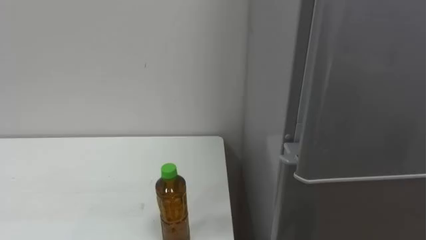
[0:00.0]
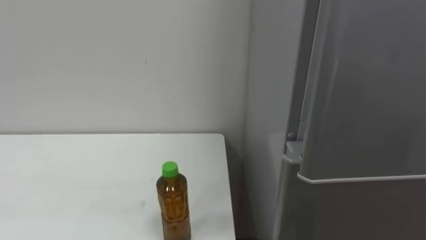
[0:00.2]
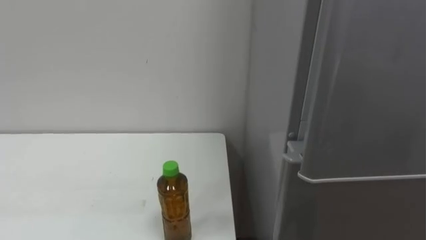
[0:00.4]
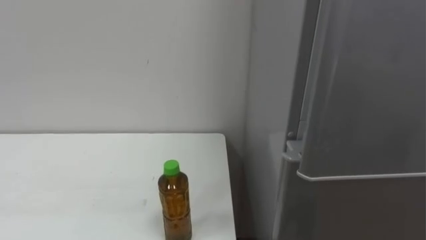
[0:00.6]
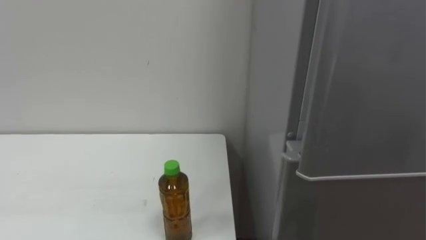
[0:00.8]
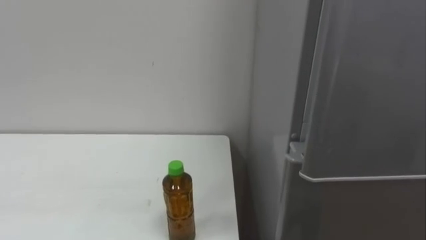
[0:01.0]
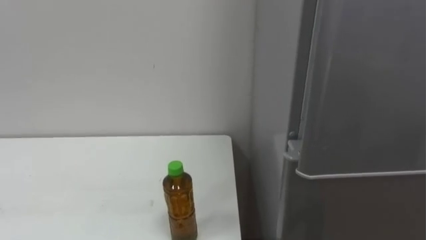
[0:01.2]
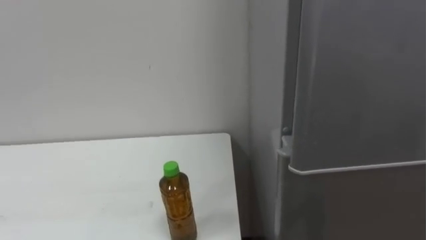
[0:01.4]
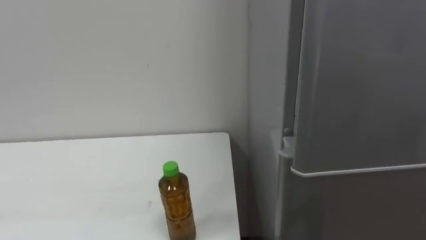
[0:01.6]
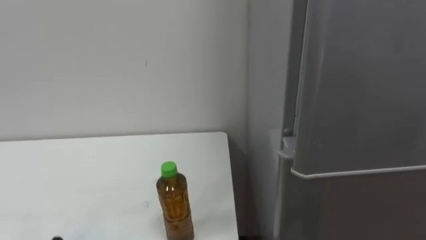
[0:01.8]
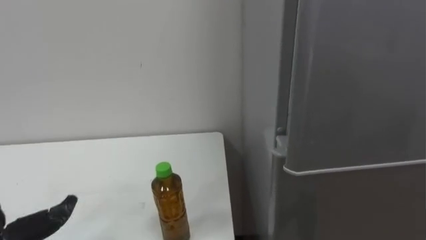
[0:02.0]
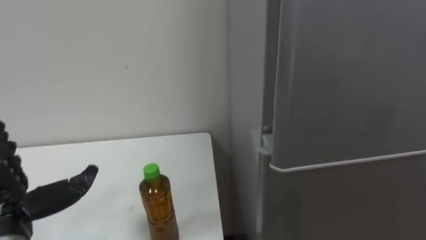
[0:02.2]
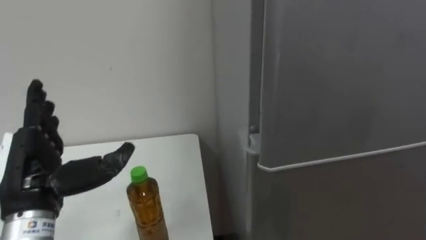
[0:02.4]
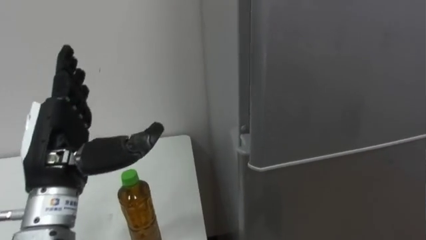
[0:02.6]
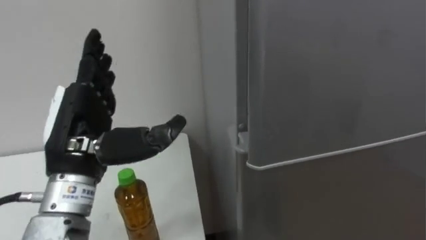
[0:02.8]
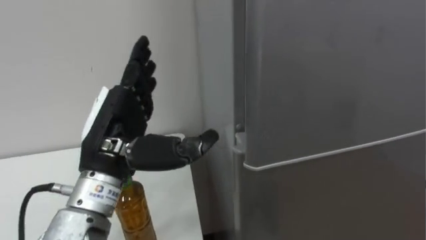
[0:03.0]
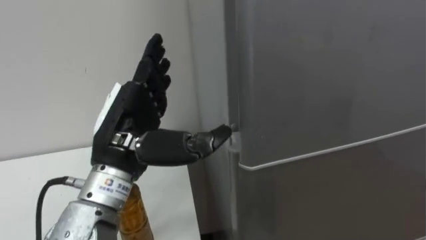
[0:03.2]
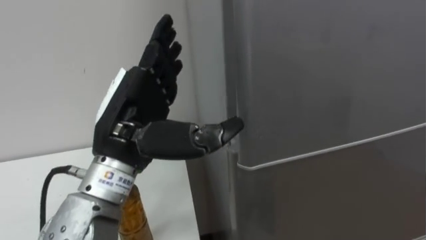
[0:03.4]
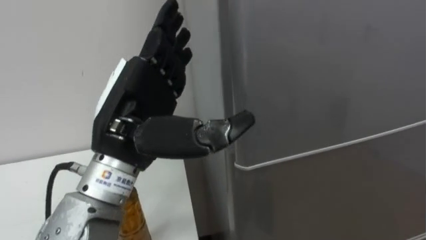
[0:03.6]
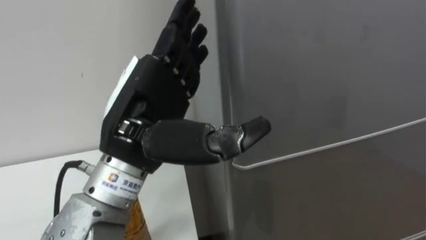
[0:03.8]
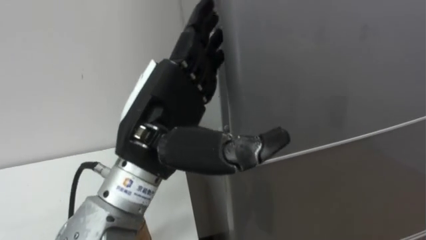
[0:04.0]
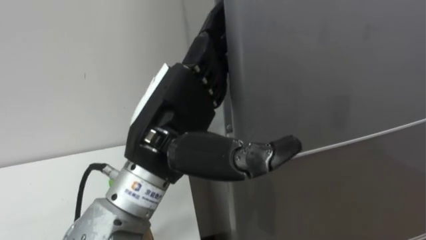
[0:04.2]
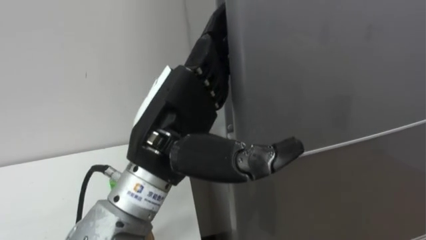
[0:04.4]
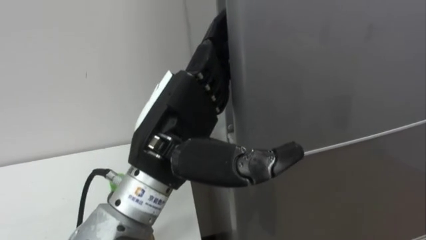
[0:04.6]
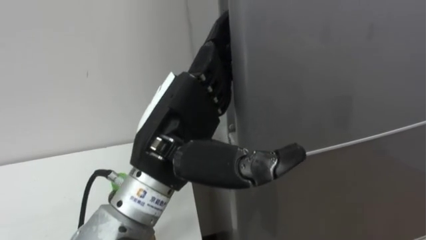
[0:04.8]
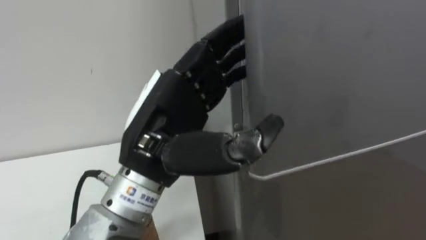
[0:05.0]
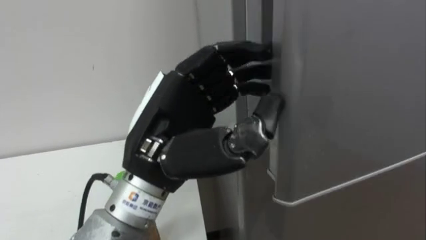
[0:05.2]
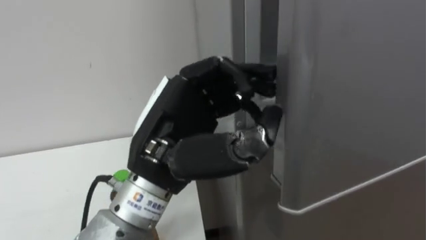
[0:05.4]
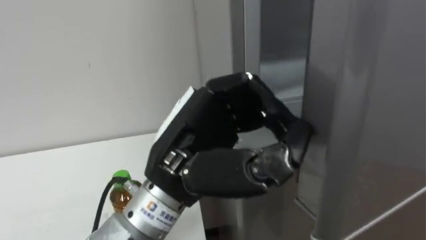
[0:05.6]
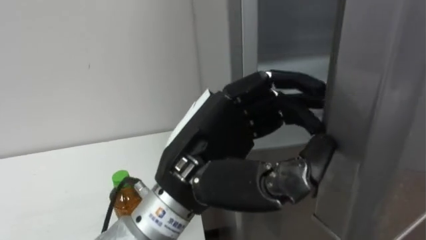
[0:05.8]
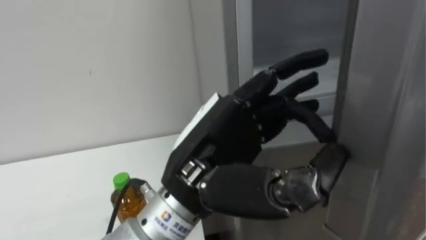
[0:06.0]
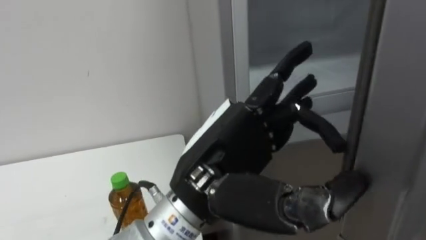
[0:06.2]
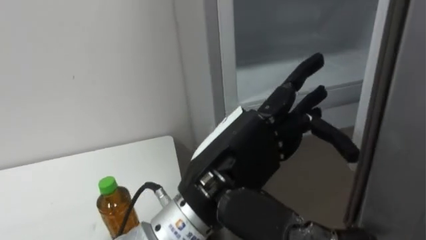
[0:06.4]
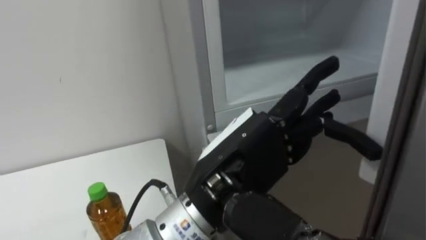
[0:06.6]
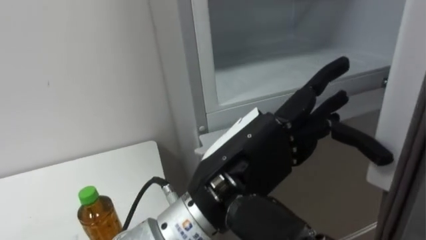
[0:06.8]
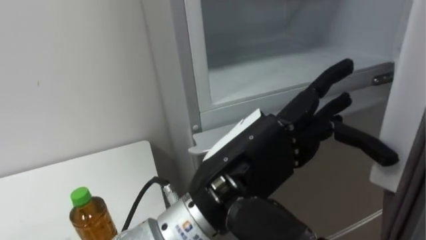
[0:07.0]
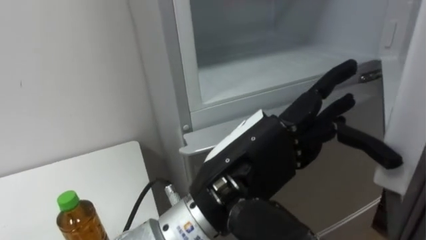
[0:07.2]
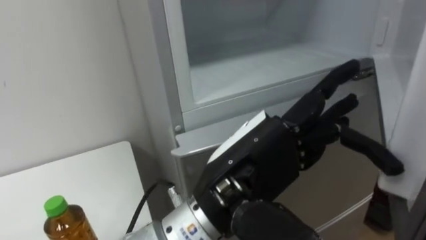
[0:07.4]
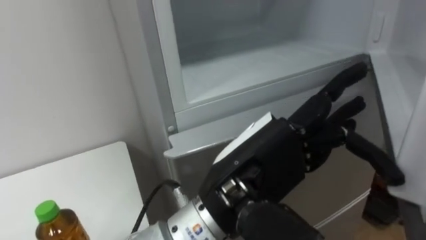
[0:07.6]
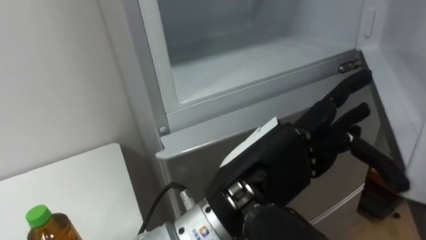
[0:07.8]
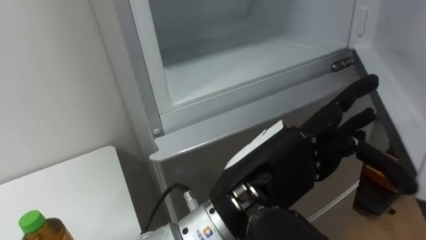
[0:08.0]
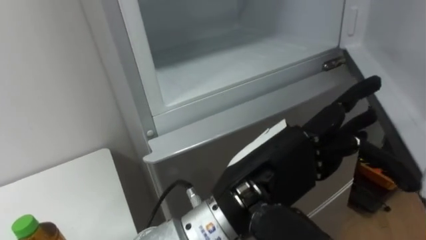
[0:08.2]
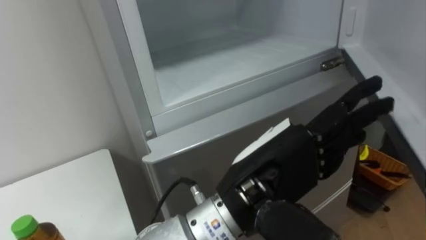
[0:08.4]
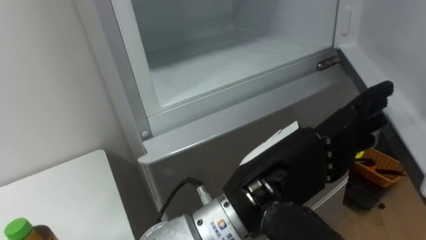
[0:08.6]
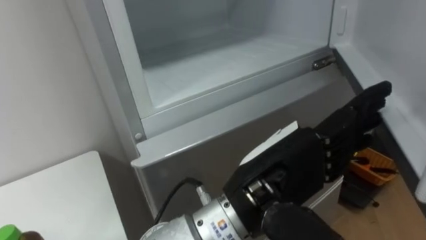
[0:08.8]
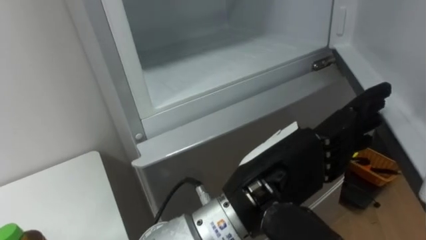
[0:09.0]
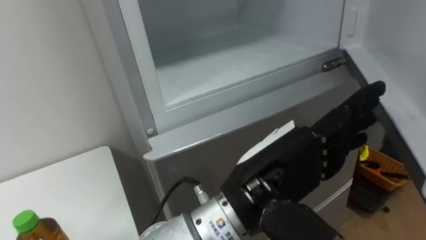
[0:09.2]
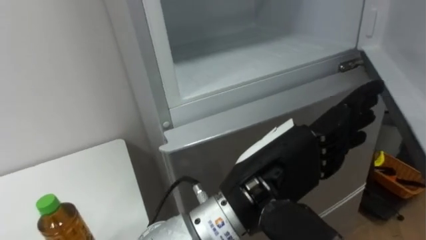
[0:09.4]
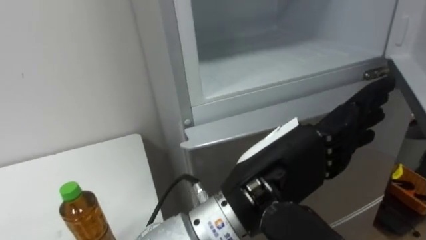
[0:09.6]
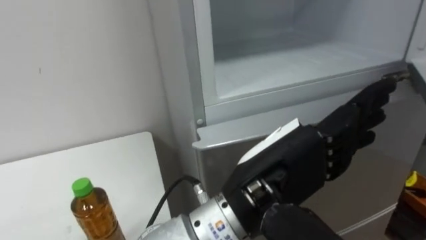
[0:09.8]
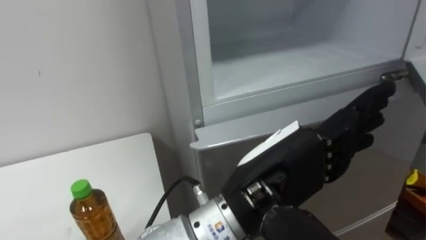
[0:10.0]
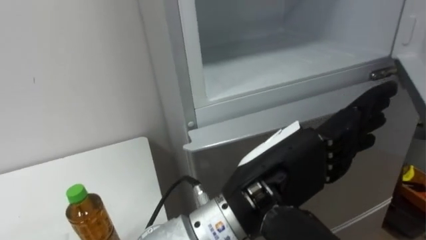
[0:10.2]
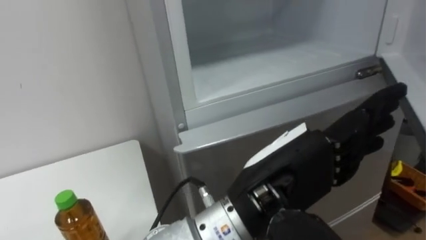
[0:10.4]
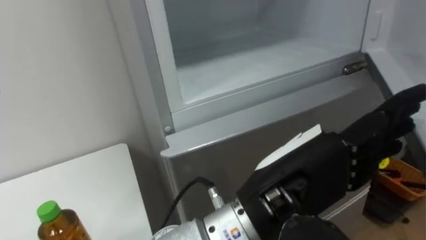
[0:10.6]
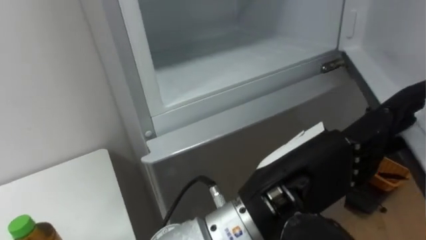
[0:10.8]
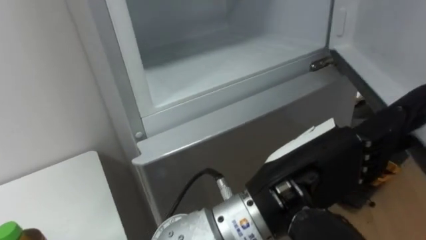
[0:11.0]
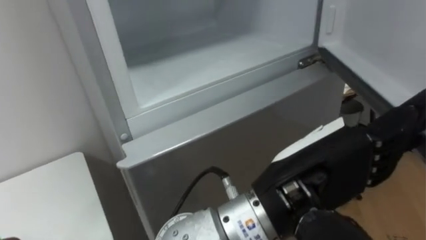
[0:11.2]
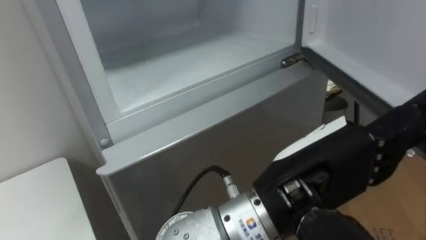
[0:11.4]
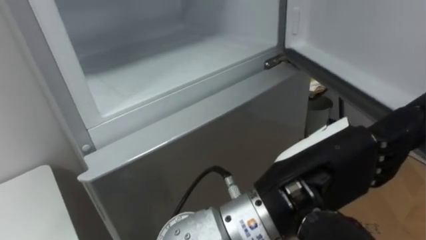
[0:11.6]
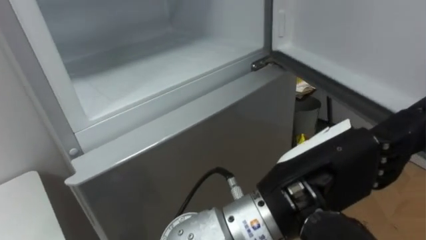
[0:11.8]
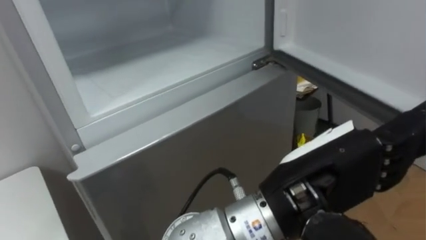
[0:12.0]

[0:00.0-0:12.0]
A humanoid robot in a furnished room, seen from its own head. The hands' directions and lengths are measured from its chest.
Task of the whole recording: Open the upper refrigerator door, put the drink from the table into the refrigerator, and then close the refrigerator door.
0:03.0 to 0:04.4: The left hand moves to the right, approximately 10 cm.
0:04.4 to 0:06.0: The left hand closes, then reopens.

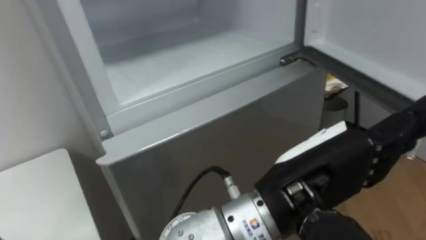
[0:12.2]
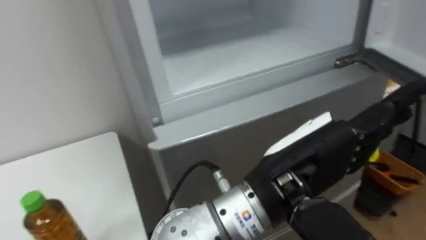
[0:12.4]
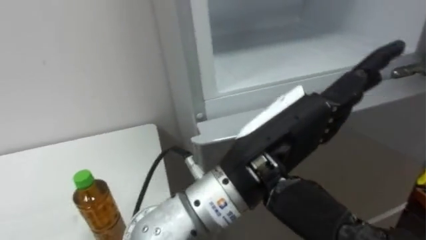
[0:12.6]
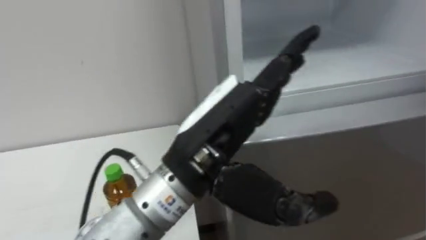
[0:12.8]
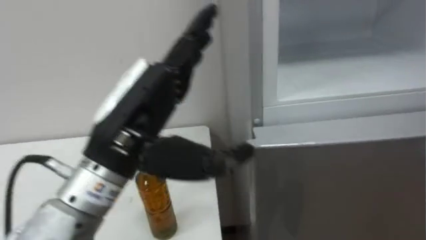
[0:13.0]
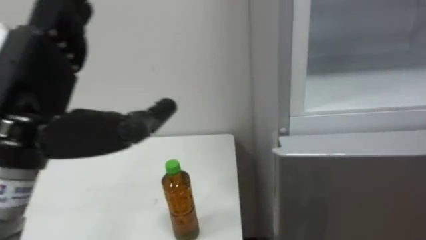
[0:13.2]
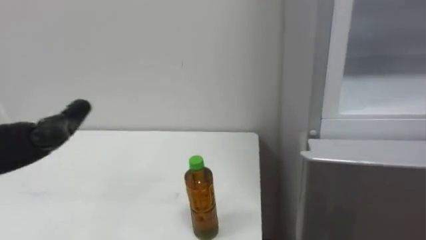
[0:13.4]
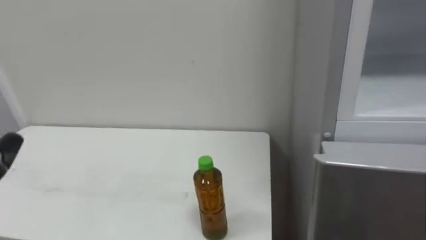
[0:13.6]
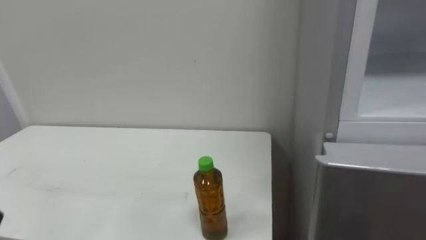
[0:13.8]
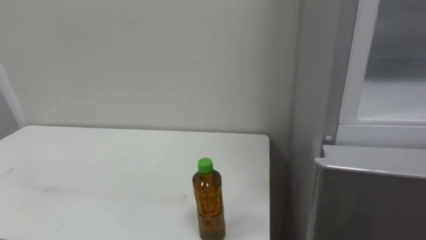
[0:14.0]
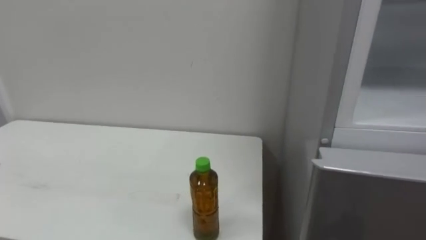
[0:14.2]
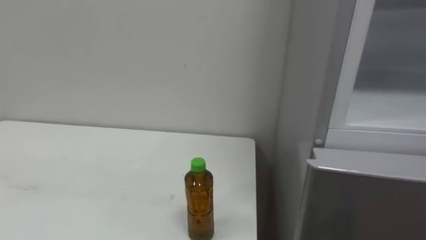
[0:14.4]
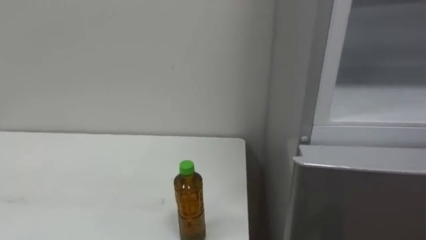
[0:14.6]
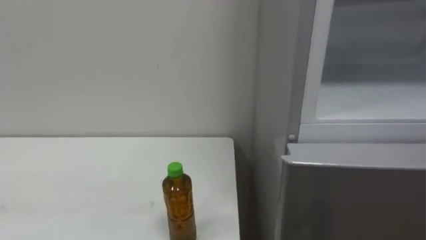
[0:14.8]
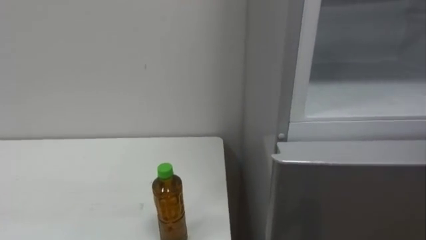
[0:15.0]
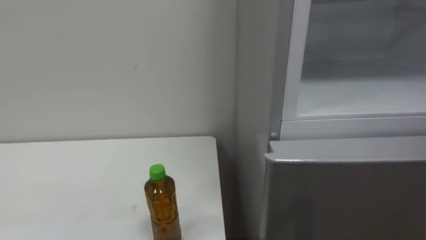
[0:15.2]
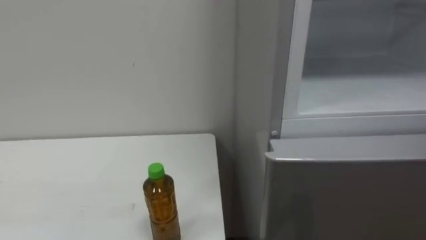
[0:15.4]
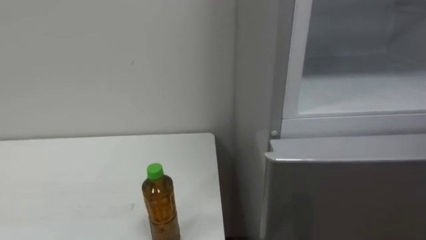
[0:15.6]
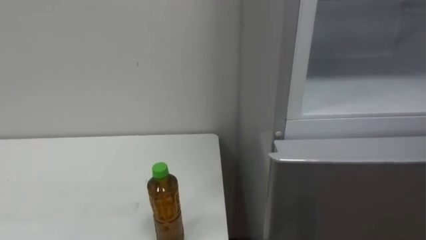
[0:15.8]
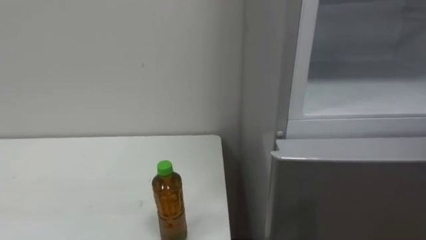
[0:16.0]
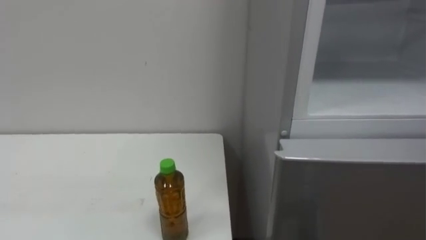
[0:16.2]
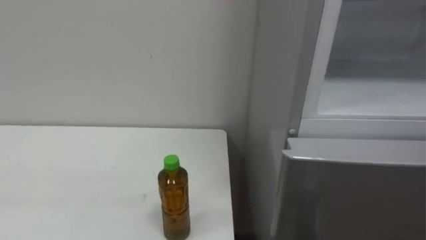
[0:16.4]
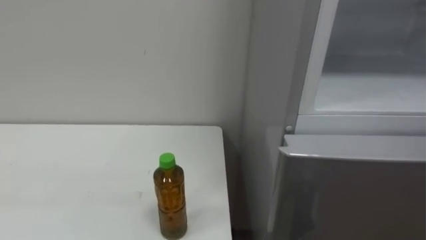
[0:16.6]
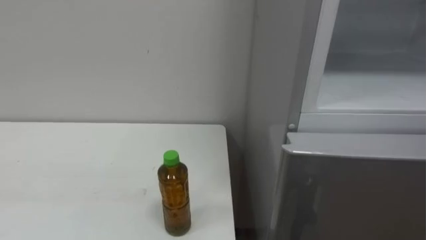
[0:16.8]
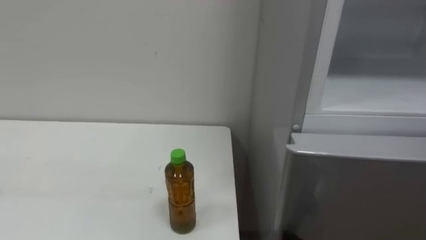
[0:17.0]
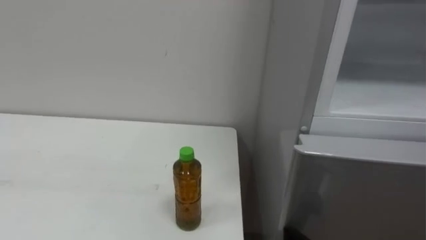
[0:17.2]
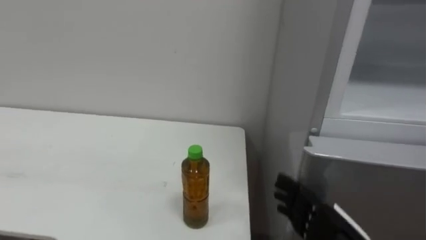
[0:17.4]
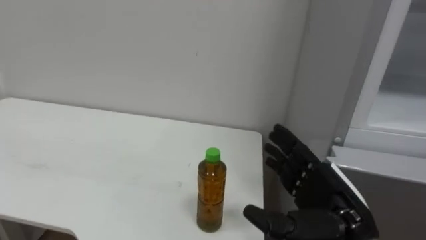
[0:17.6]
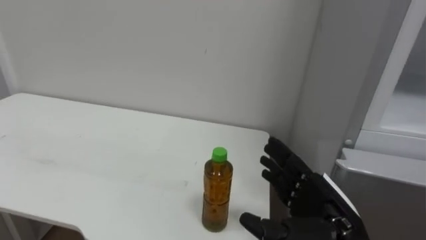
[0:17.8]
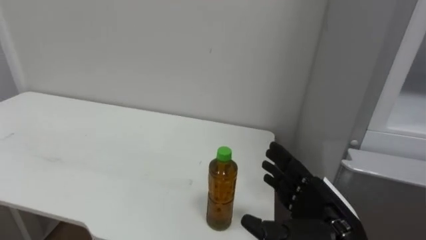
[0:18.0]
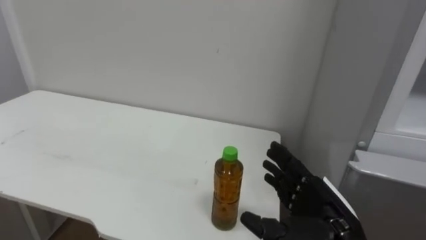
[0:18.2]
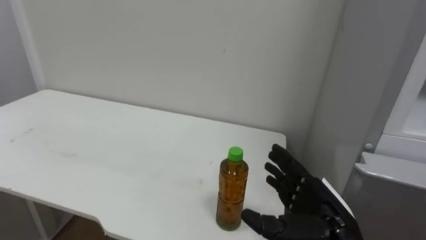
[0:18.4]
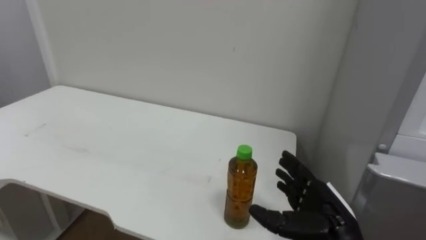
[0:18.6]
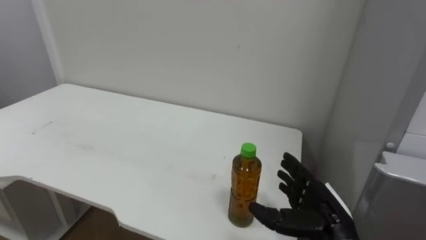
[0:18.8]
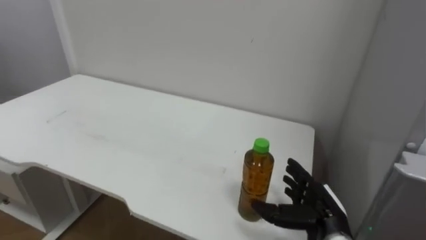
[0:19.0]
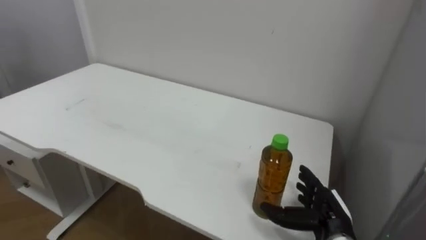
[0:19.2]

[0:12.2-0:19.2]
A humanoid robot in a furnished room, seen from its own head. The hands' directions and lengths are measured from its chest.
Task of the whole recording: Open the upper refrigerator door, put the drink from the table into the refrigerator, and then close the refrigerator door.
0:17.8 to 0:19.2: The right hand goes some 10 cm downward and forward.
